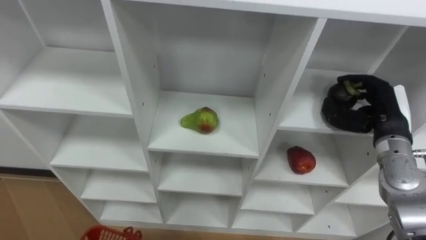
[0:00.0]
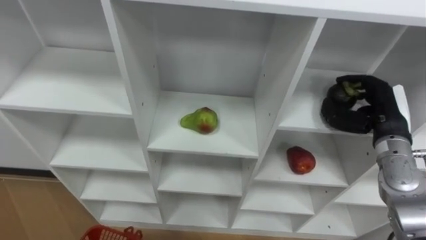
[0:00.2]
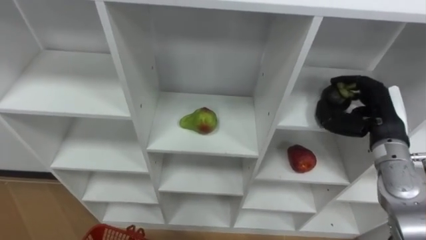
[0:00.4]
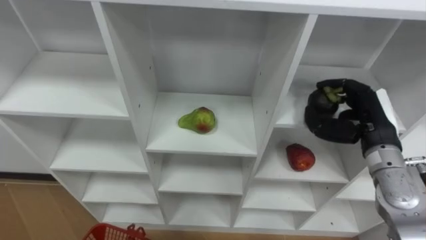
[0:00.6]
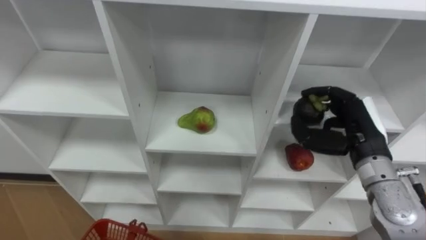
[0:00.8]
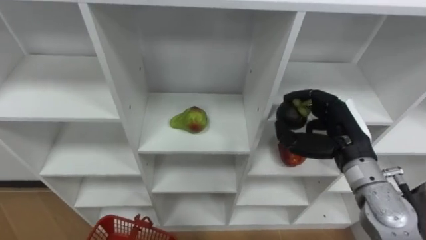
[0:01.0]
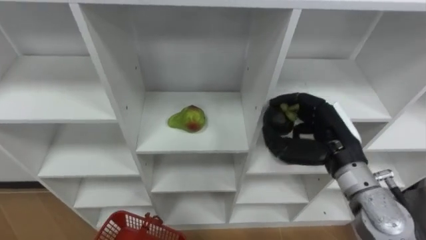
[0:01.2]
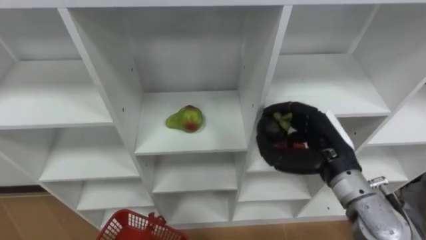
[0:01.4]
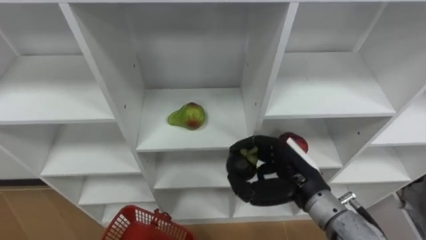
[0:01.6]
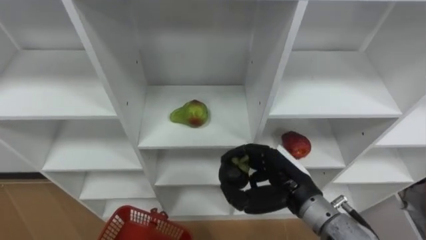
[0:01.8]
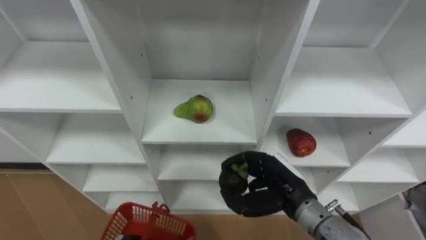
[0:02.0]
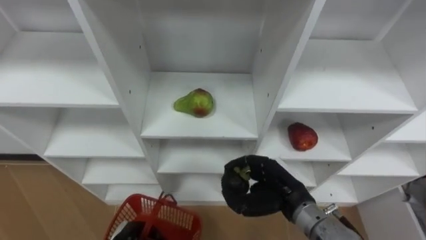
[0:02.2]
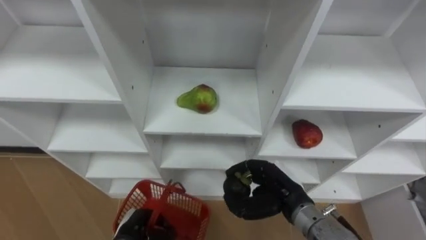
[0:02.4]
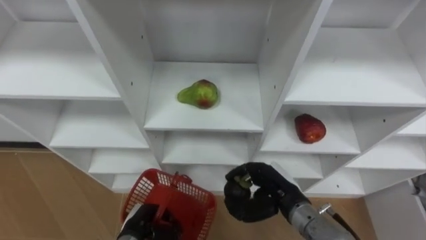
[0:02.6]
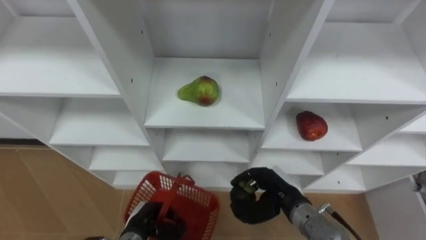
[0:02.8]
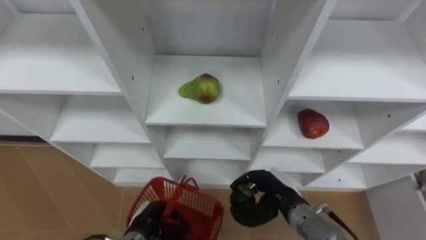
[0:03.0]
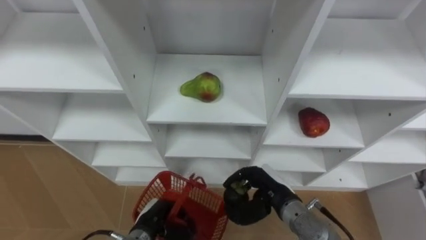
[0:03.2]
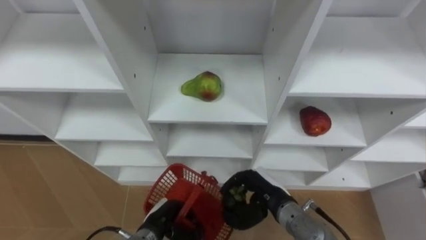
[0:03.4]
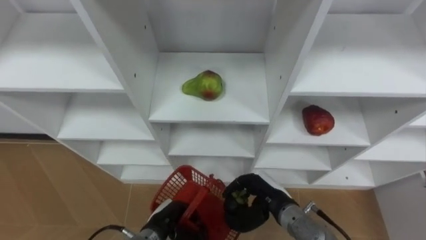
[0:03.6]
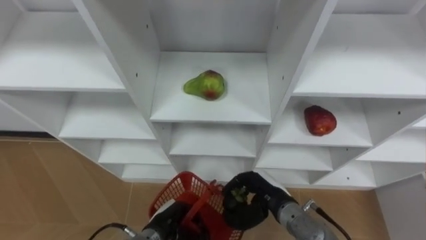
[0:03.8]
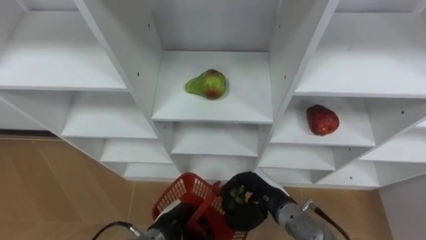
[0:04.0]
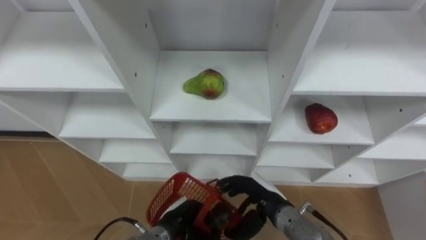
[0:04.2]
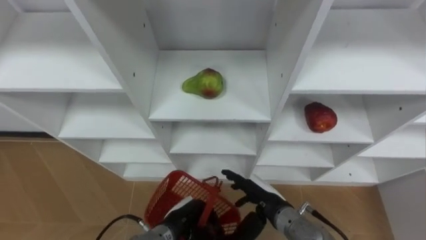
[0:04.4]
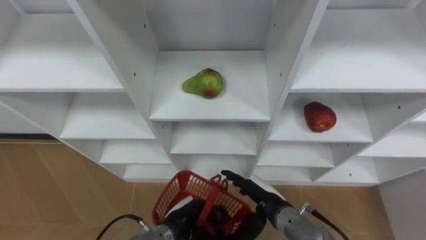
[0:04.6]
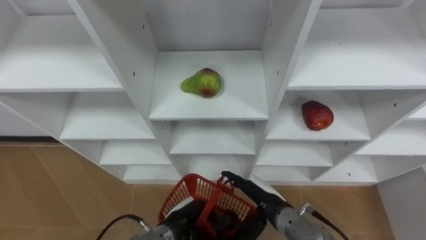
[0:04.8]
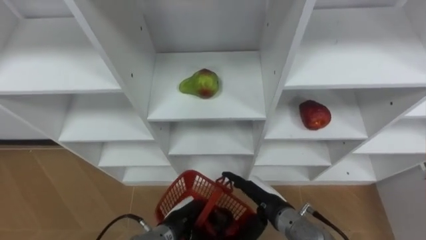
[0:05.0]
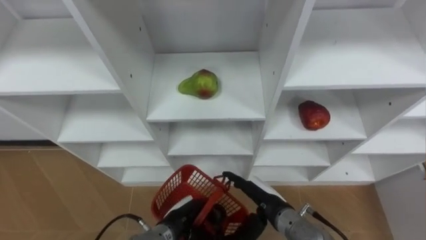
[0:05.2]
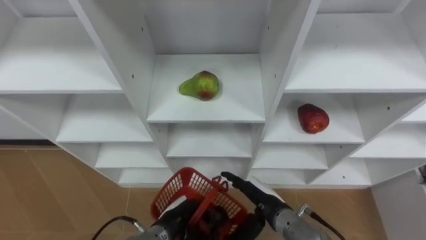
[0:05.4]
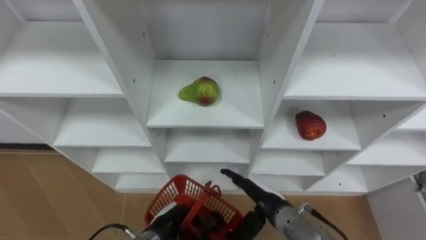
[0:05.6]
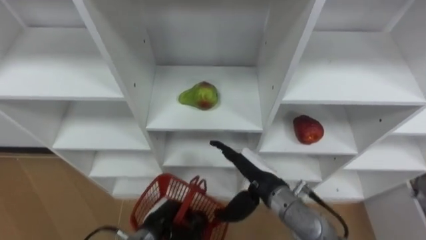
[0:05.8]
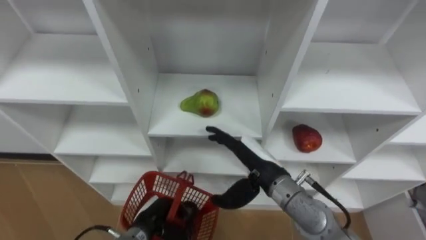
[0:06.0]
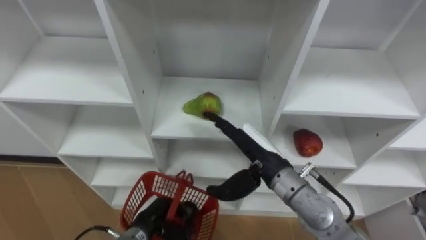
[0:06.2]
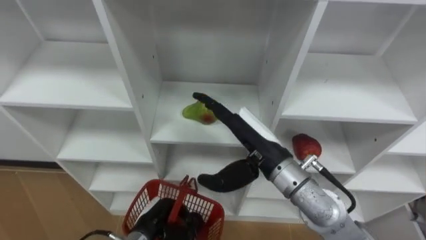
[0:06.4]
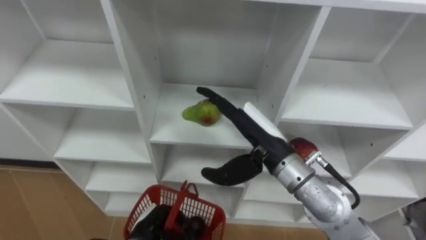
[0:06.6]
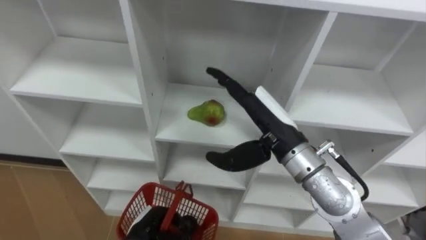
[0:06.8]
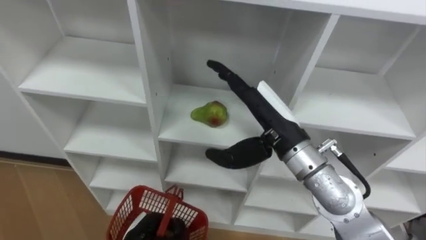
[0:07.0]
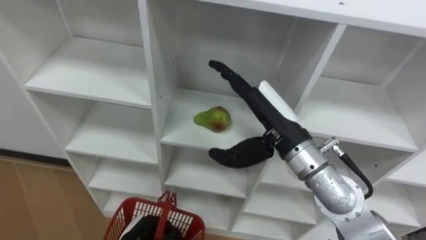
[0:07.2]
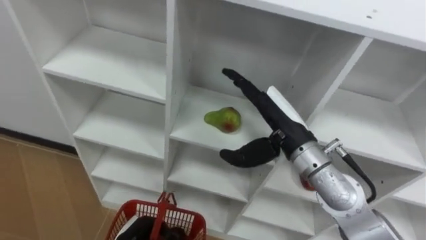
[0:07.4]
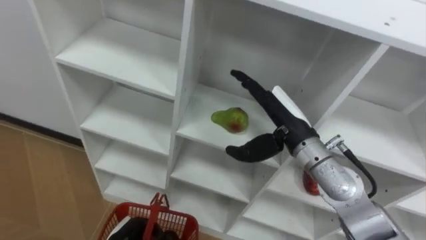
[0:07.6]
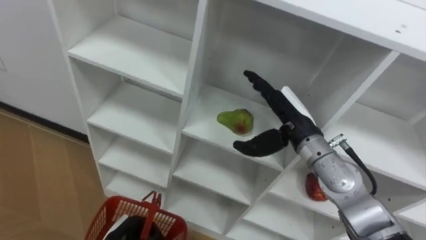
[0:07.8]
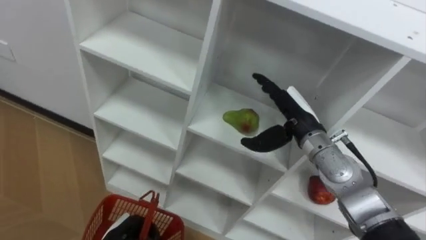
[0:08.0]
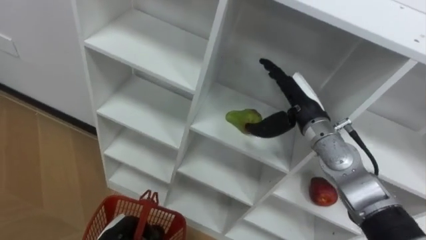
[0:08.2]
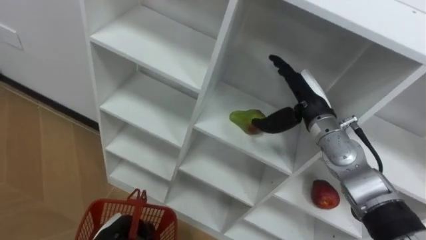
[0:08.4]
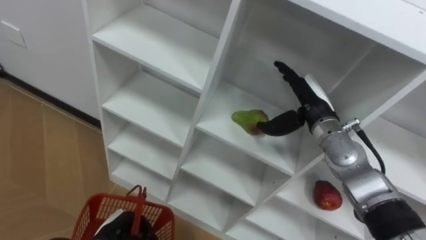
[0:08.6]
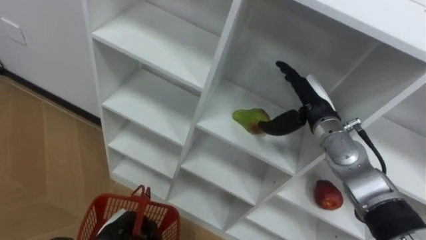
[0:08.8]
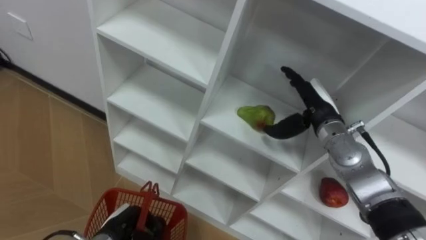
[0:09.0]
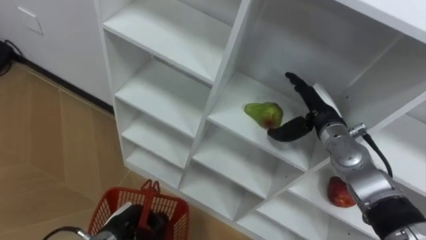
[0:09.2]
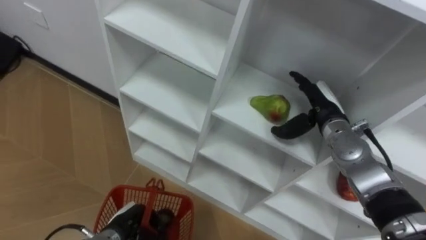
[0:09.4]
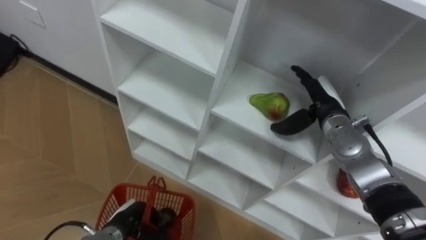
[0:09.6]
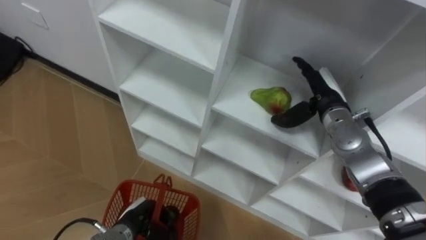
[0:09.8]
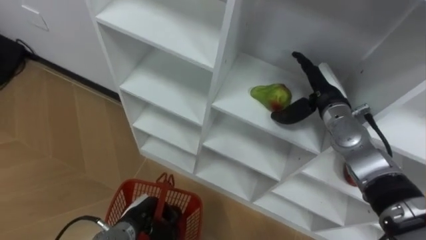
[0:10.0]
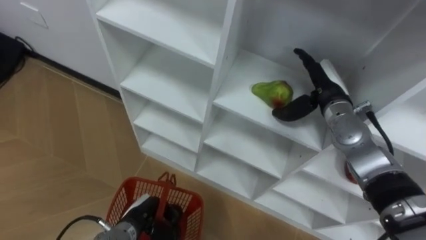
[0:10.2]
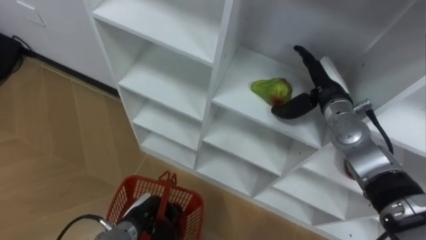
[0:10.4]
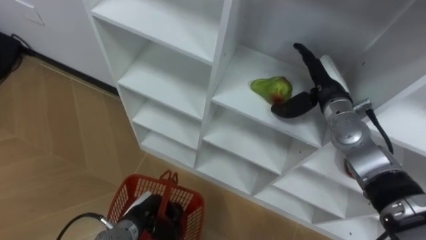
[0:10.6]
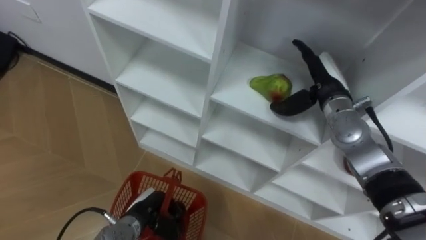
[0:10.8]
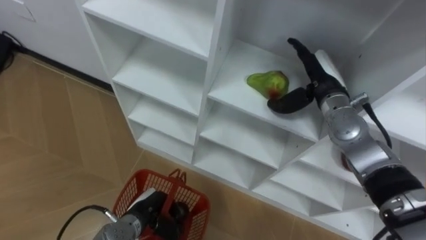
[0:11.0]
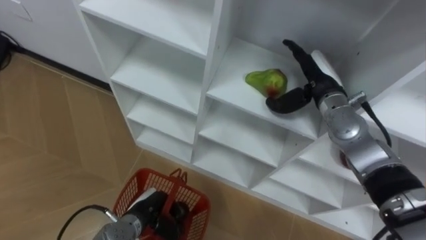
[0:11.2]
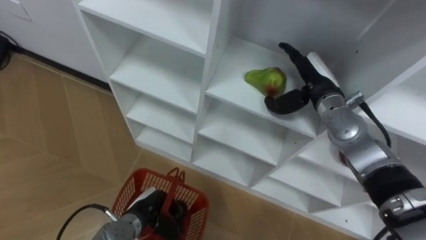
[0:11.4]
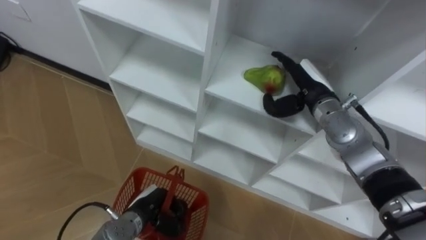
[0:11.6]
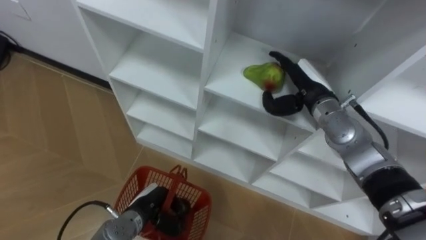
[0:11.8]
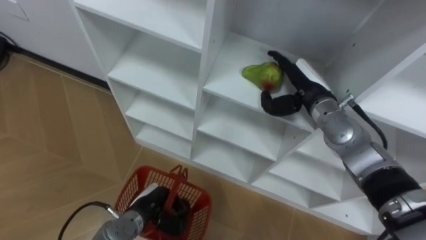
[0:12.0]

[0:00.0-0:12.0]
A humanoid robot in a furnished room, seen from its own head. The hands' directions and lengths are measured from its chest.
Task of the whole recording: Hold the basket and collect the fruits from 3 different cells of the closet into it.
0:00.0 to 0:01.6: The right hand heads to the left and backward, covering roughly 20 cm.
0:01.6 to 0:03.0: The right hand heads downward, covering roughly 10 cm.
0:03.0 to 0:04.4: The left hand travels to the right by roughly 10 cm. Meanwhile the right hand opens.
0:04.4 to 0:06.0: The right hand moves upward, approximately 10 cm. Meanwhile the left hand heads to the left, covering about 5 cm.
0:06.0 to 0:07.6: The right hand is displaced upward by about 10 cm, while the left hand is displaced to the left by some 5 cm.
0:07.6 to 0:09.0: The right hand goes some 10 cm to the right and forward.

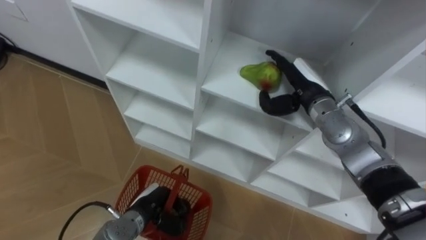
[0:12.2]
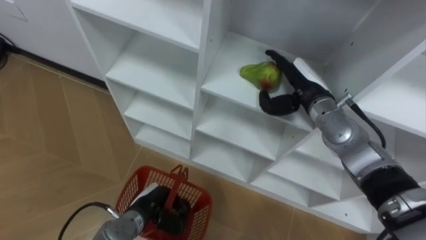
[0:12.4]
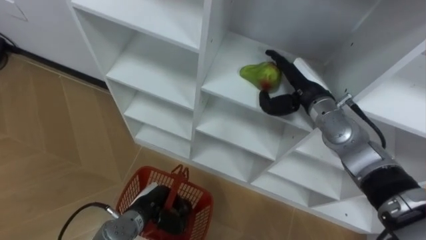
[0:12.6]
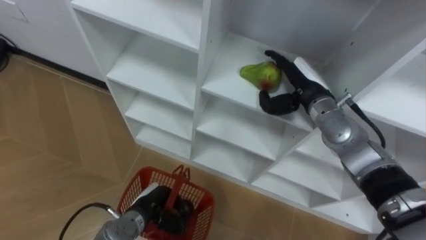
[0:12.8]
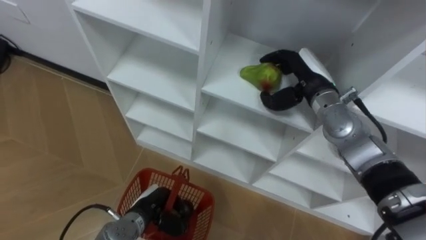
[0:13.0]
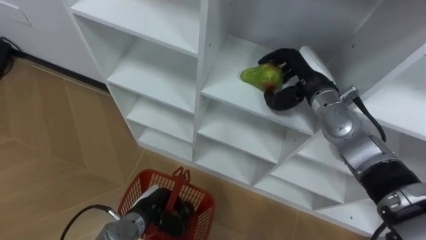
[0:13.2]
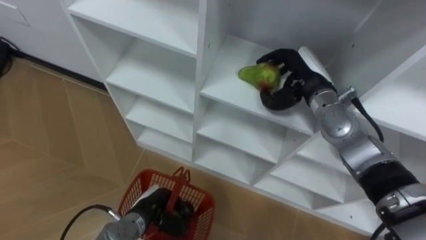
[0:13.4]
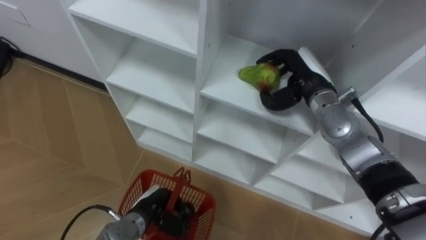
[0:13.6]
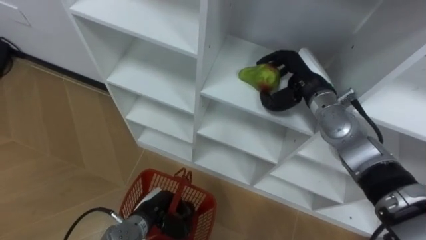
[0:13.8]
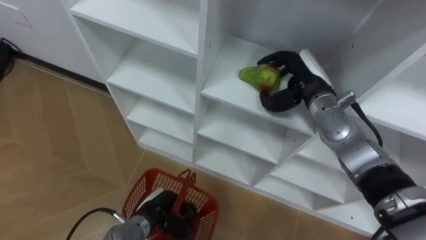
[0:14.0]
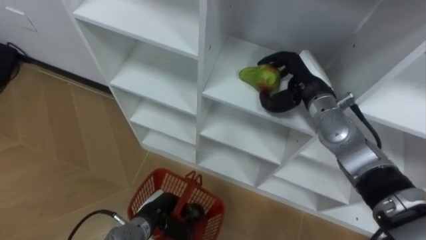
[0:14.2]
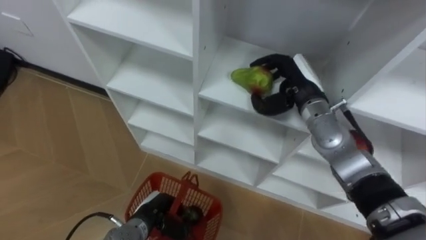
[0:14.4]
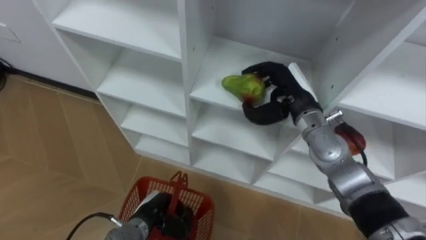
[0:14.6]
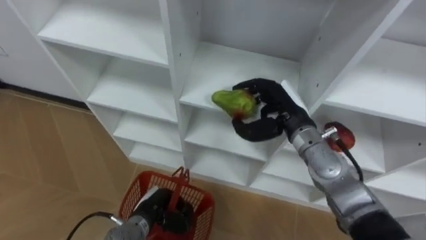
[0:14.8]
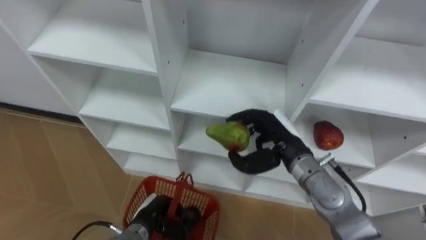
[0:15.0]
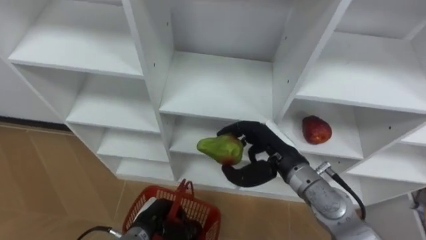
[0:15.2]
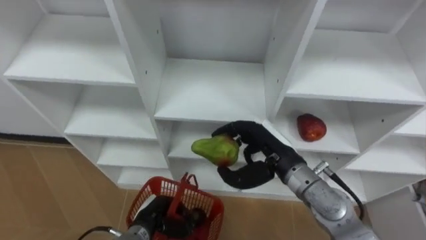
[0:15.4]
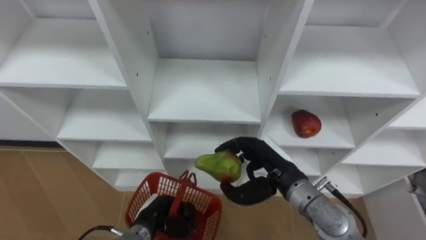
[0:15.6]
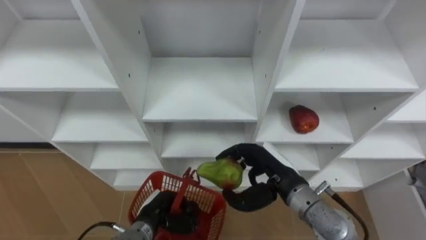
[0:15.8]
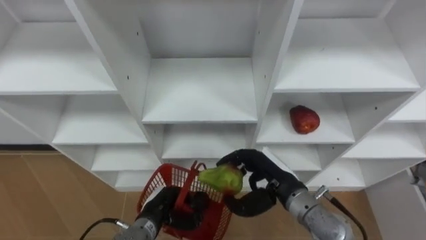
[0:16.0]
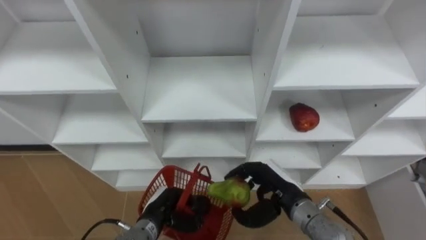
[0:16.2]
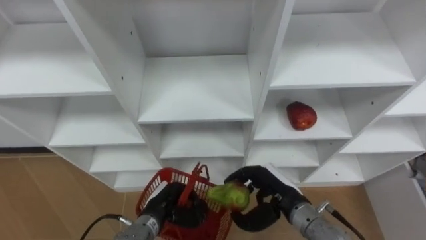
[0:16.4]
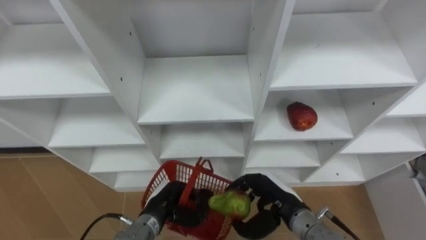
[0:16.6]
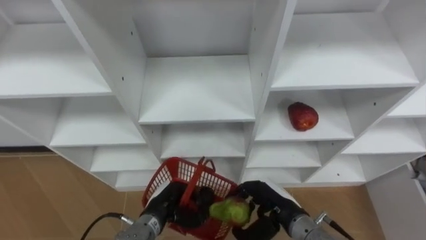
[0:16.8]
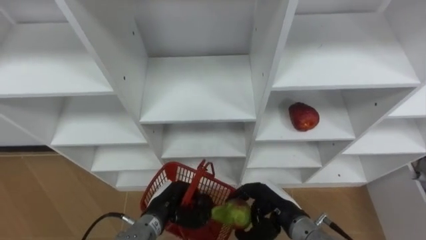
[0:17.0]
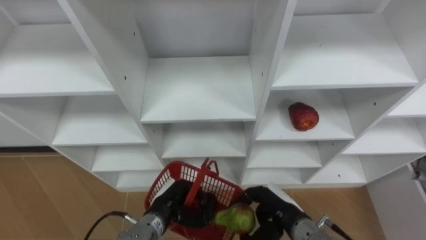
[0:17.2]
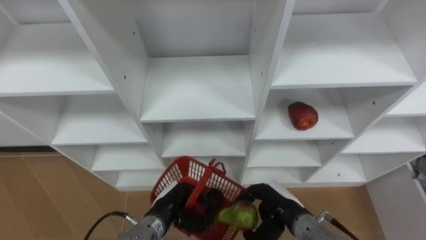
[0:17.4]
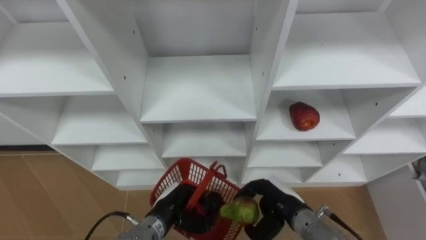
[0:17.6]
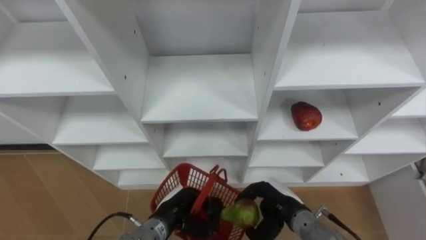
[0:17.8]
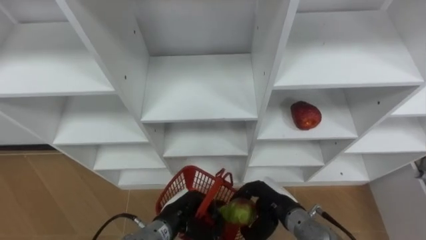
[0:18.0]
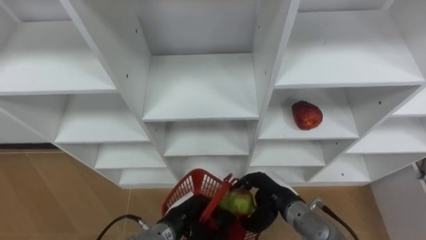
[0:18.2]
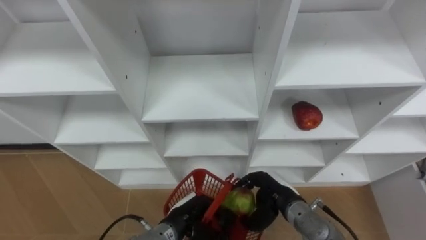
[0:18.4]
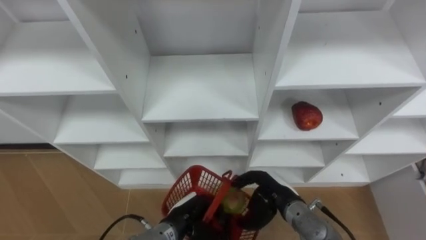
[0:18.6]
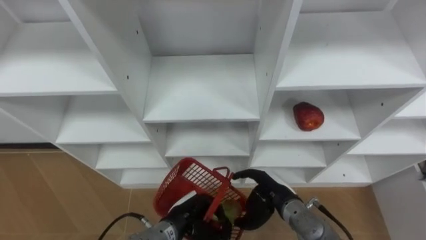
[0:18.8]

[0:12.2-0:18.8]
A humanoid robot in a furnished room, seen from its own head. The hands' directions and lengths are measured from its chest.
Task of the whole recording: Hold the basket and collect the fruits from 3 different cells of the closet into it.
0:12.2 to 0:13.8: The right hand closes its fingers.
0:13.8 to 0:15.4: The right hand moves backward, to the left and downward, roughly 15 cm.
0:15.4 to 0:17.2: The left hand changes place by about 5 cm; the right hand heads downward and backward, covering roughly 15 cm.
0:17.2 to 0:18.8: The right hand opens.
